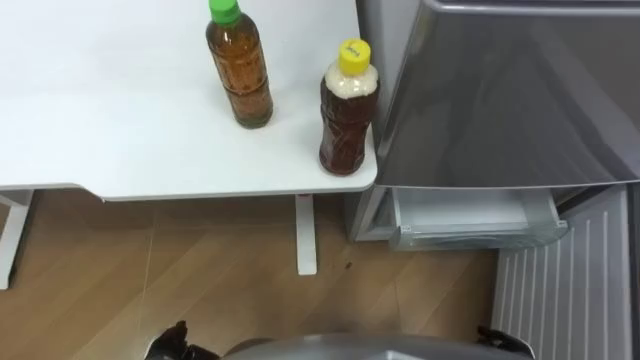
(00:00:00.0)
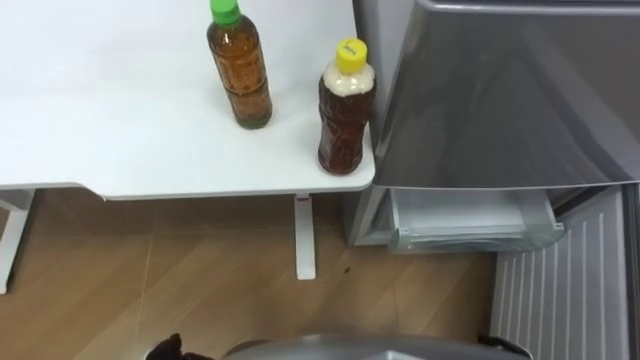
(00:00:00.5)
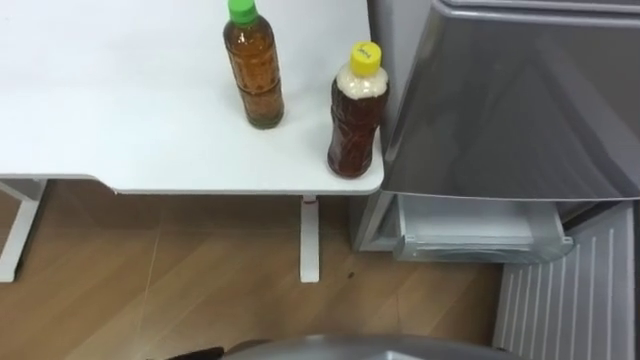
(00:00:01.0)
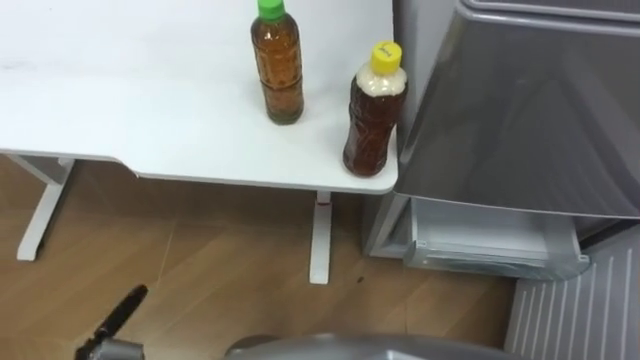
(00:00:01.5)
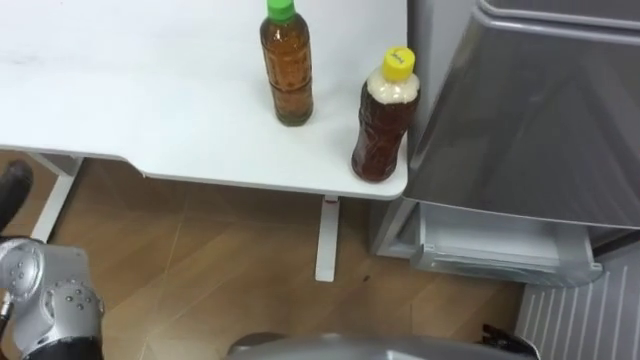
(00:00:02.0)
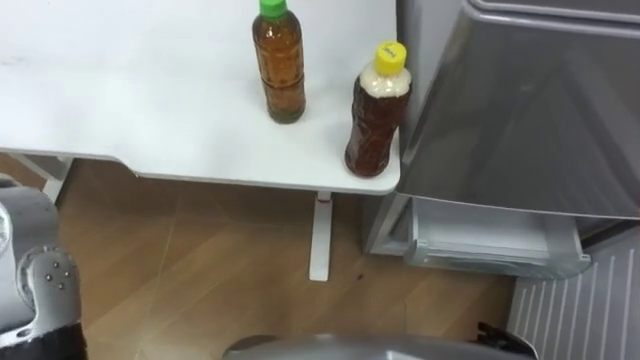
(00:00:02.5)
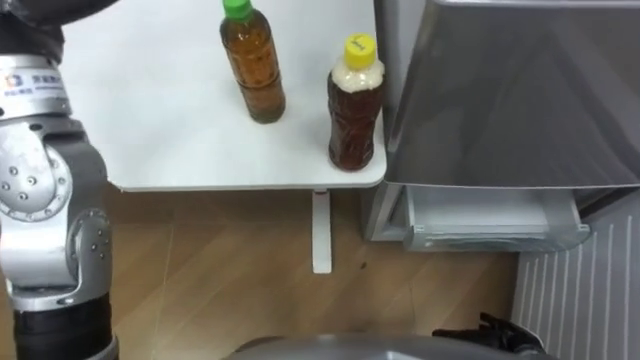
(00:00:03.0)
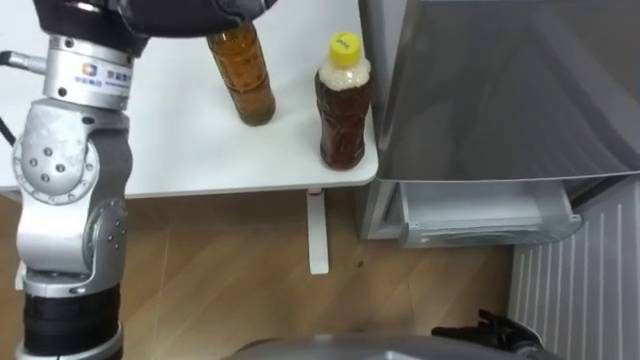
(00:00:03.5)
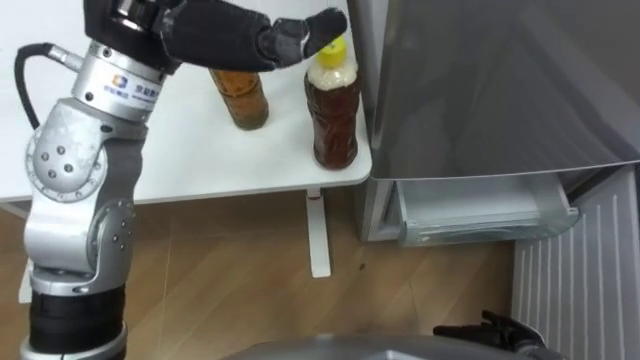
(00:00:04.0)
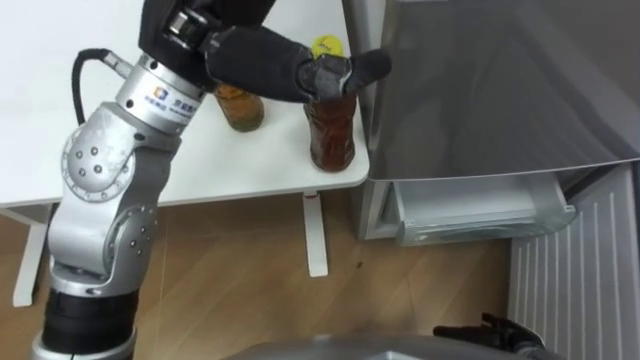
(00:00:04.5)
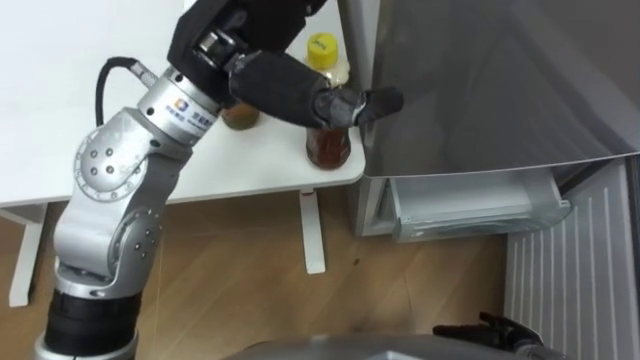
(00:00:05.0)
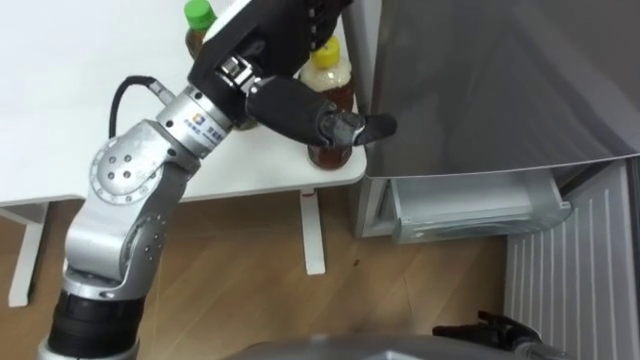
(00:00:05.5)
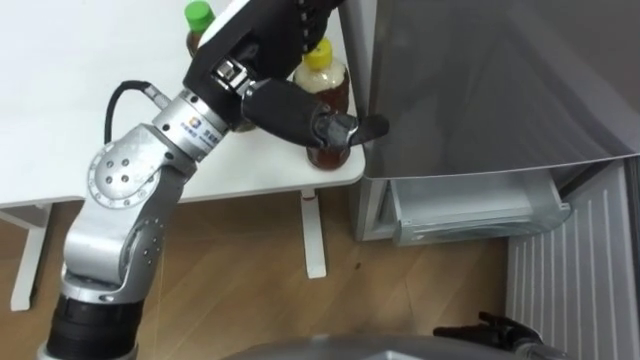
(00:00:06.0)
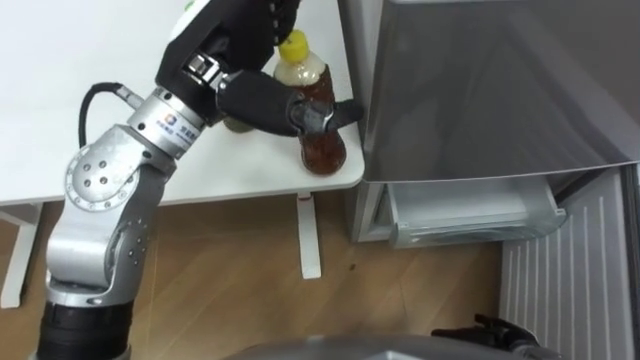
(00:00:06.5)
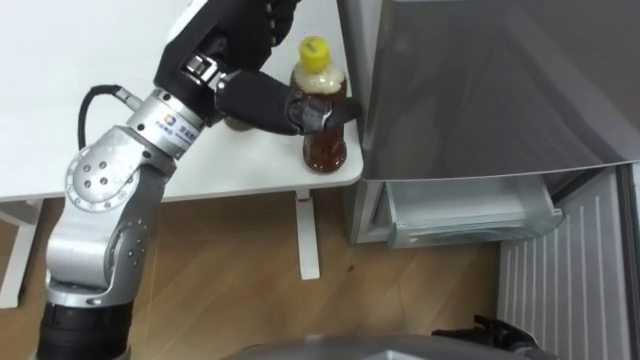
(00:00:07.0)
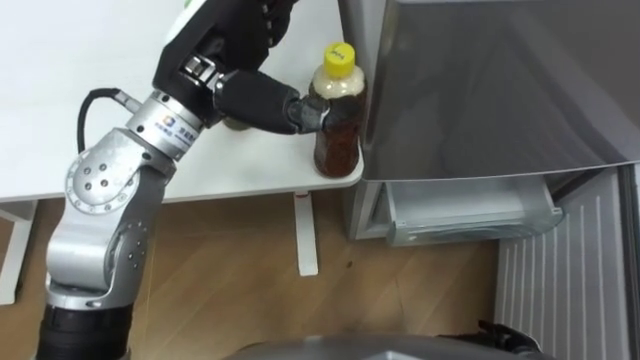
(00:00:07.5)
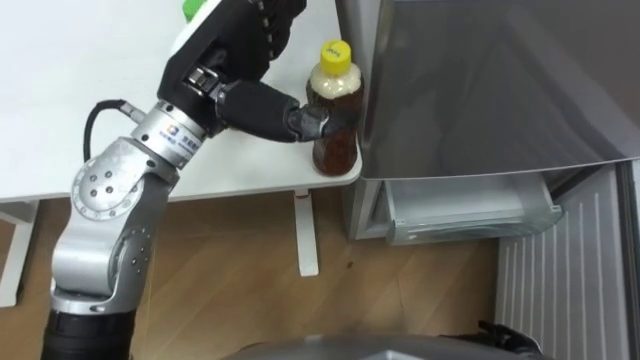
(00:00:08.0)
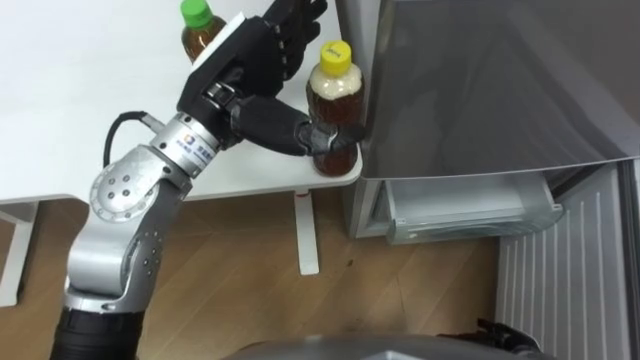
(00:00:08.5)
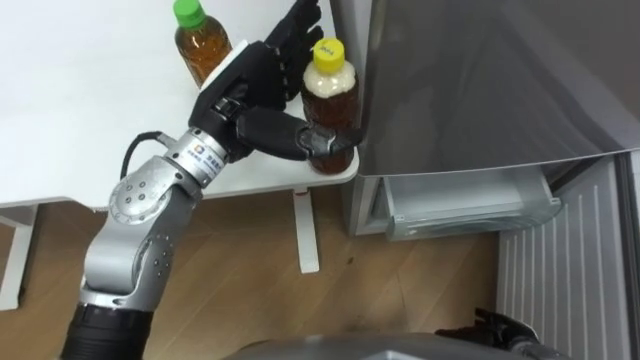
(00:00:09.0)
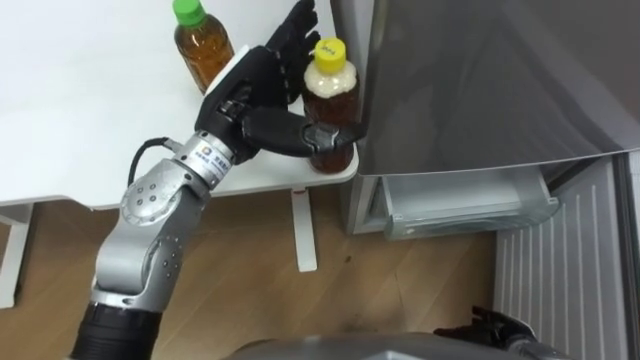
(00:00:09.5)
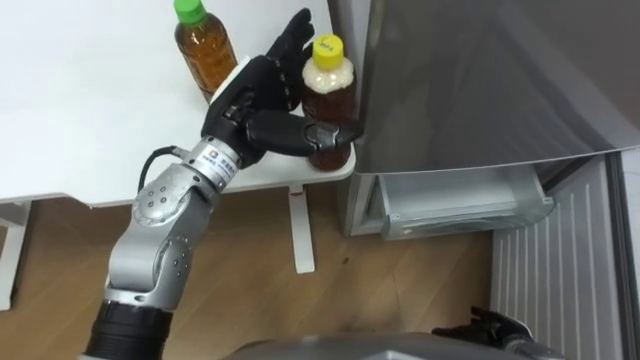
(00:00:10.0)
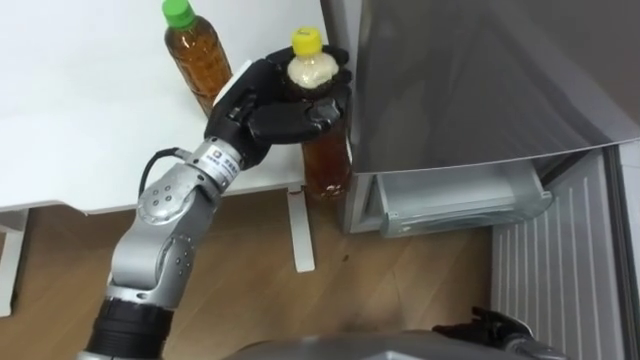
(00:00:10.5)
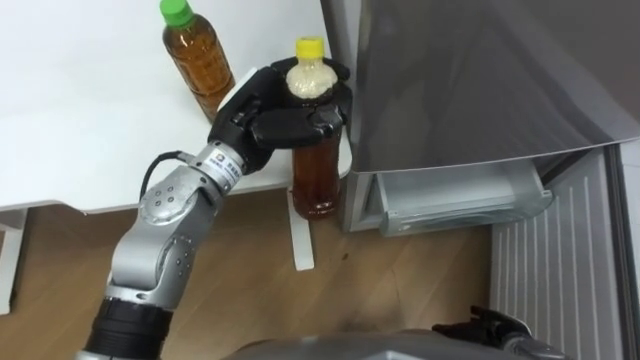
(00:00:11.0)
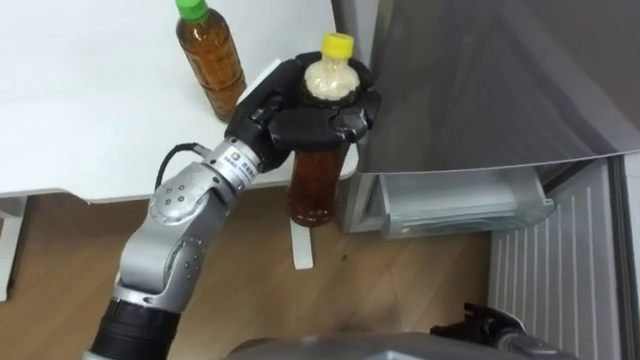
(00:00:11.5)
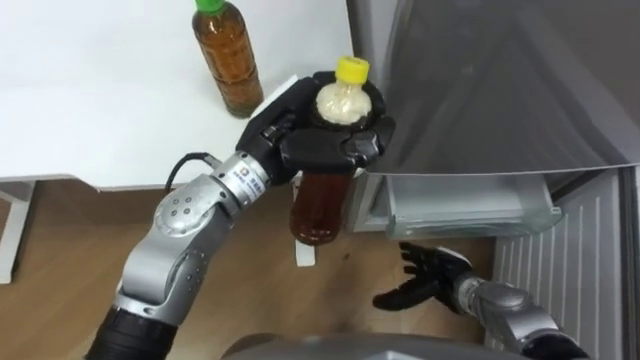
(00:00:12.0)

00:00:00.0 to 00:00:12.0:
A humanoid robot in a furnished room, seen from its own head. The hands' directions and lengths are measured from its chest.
Task of the whole recording: Place the drink on the table on the bottom shelf of the refrigerator, then close the drawer and the refrigerator door.
00:00:04.0 to 00:00:06.0: The left hand heads downward and to the right, covering approximately 10 cm.
00:00:08.0 to 00:00:10.0: The left hand travels downward by approximately 10 cm.
00:00:10.0 to 00:00:12.0: The left hand closes its fingers, while the right hand moves forward and to the left, about 10 cm.

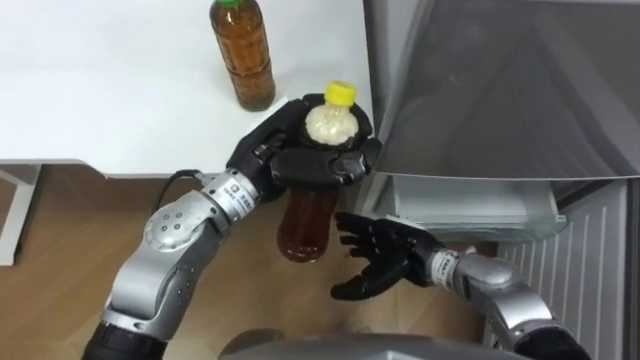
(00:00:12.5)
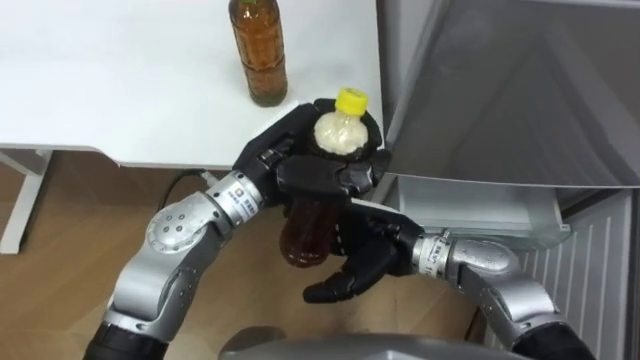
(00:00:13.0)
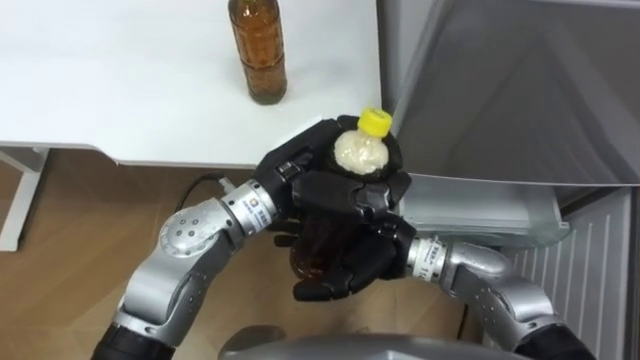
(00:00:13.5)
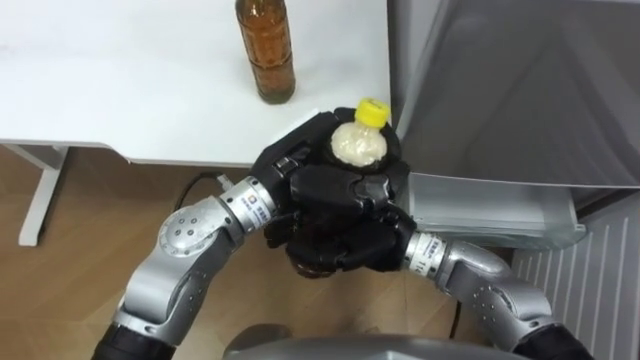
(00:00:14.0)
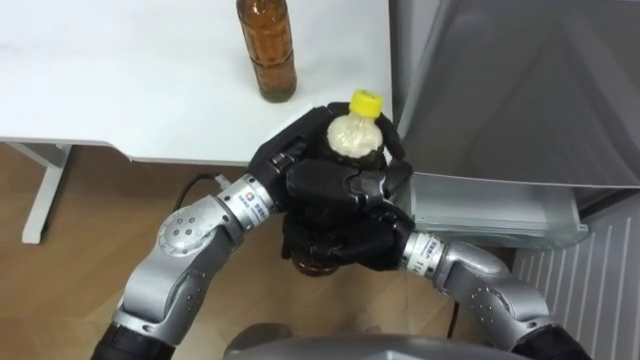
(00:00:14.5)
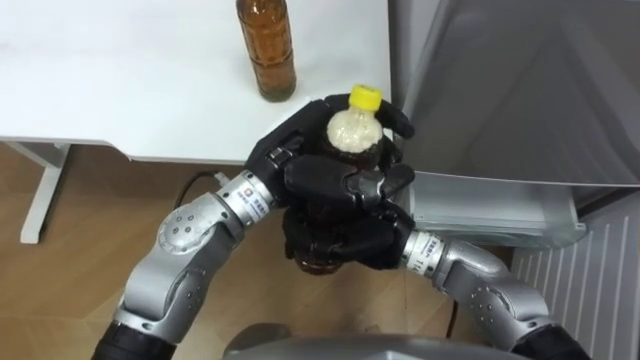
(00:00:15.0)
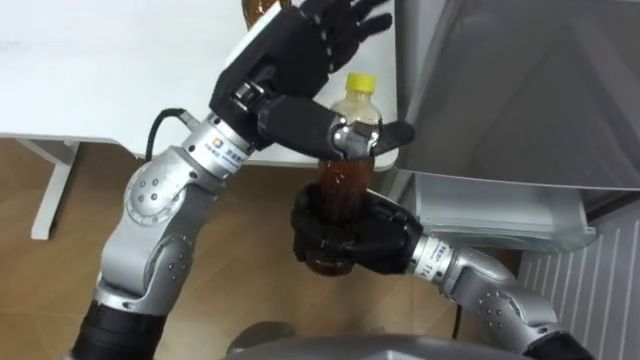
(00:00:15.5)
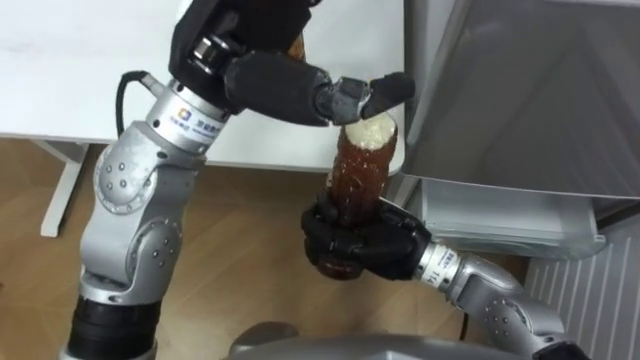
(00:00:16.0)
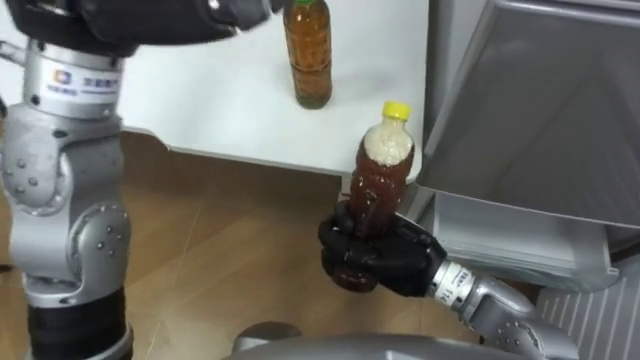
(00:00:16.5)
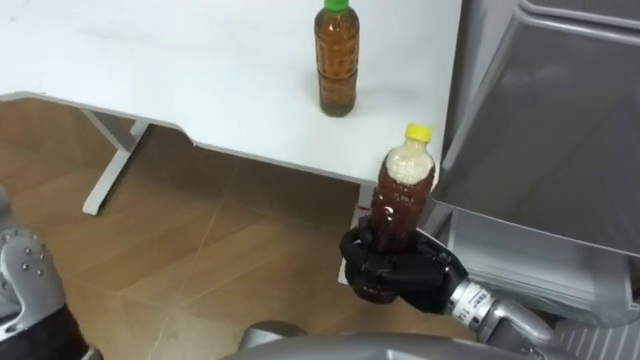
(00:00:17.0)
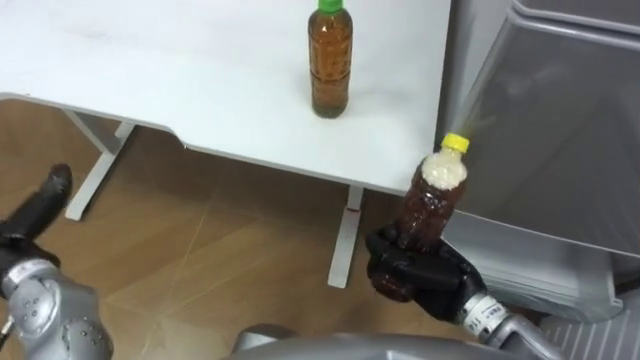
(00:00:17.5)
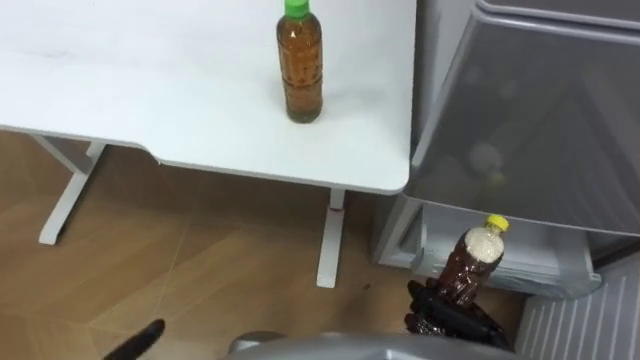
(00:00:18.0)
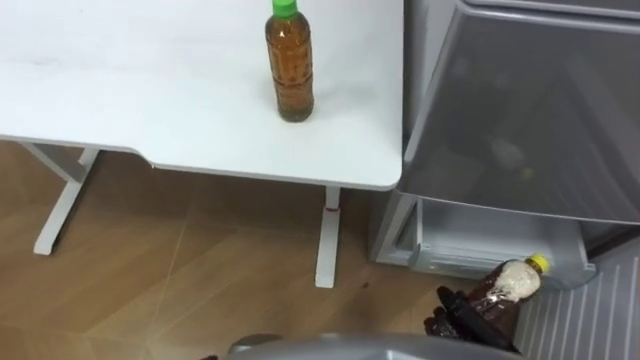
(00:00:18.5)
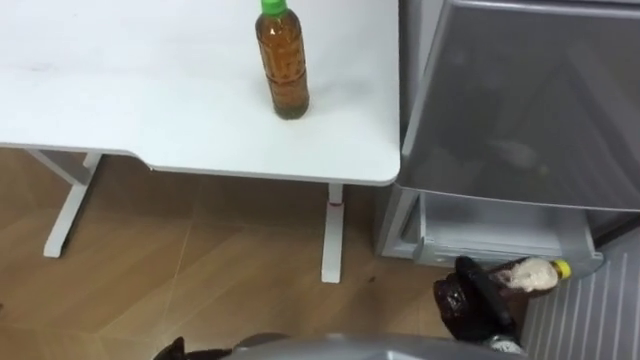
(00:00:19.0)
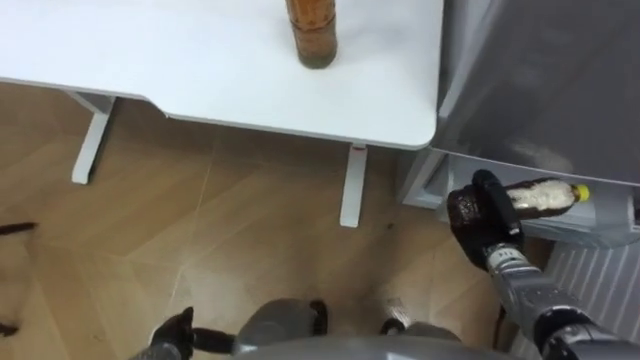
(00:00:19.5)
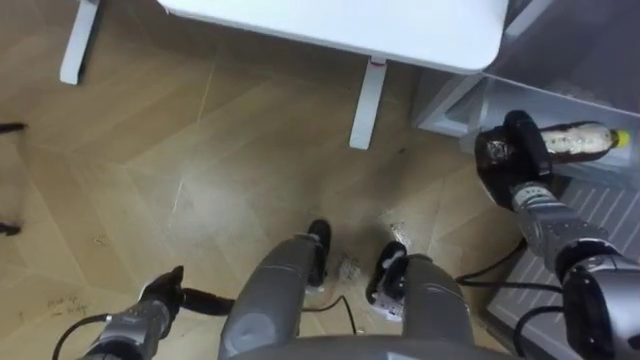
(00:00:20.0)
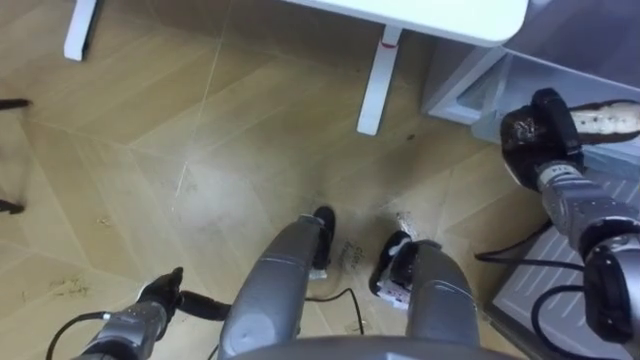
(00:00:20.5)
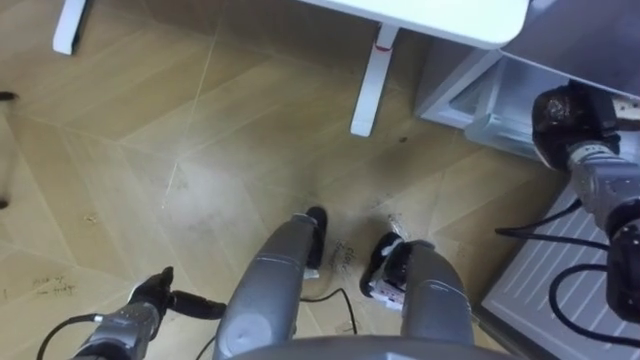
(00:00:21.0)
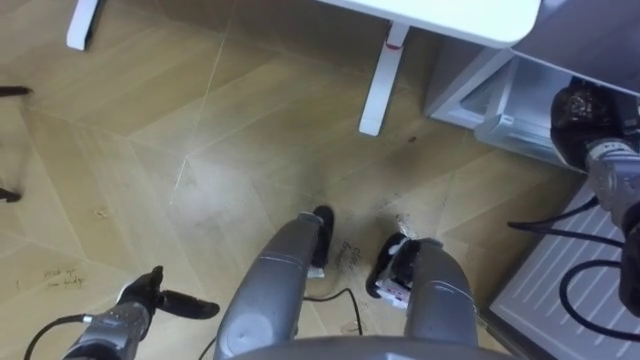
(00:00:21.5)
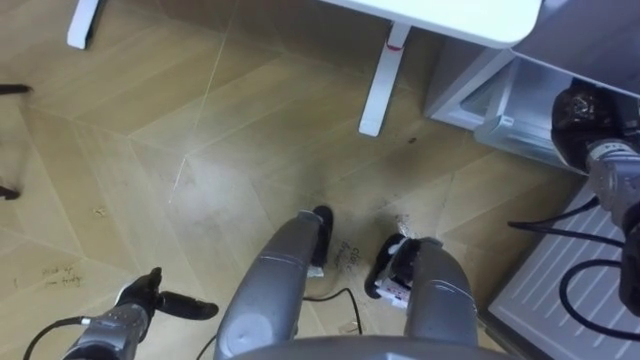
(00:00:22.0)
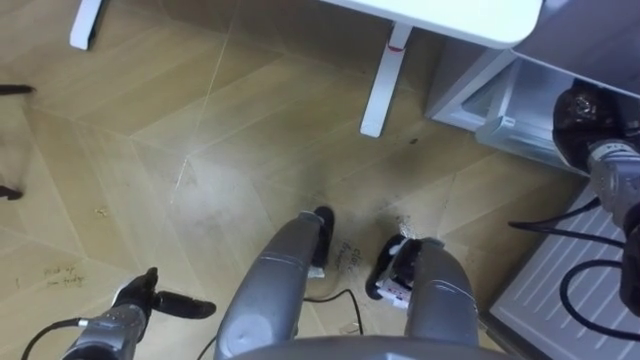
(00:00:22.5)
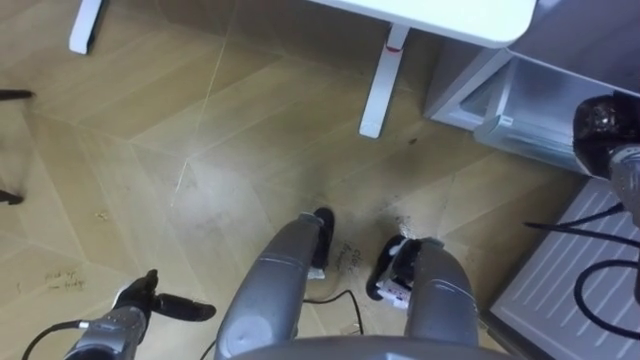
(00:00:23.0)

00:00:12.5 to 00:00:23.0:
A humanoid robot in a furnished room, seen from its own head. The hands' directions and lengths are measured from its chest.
Task of the whole recording: Place the drink on the table on the bottom shelf of the refrigerator, then close the drawer and the refrigerator door.
00:00:12.5 to 00:00:14.5: The right hand moves upward and to the left, approximately 10 cm, and closes up.
00:00:14.5 to 00:00:16.5: The right hand shifts by roughly 5 cm; the left hand is displaced upward and to the left by some 25 cm, and opens its fingers.
00:00:16.5 to 00:00:19.0: The right hand heads downward, to the right and backward, covering roughly 25 cm.
00:00:19.0 to 00:00:21.0: The right hand goes approximately 30 cm forward, upward and to the right.
00:00:21.0 to 00:00:23.0: The right hand ends up roughly 5 cm from where it was.
